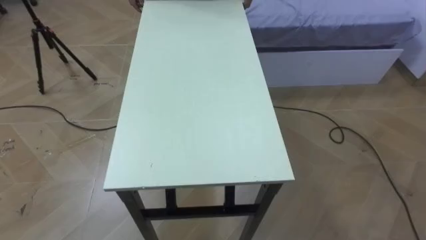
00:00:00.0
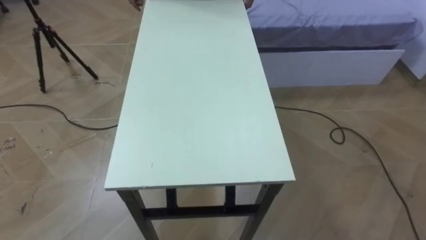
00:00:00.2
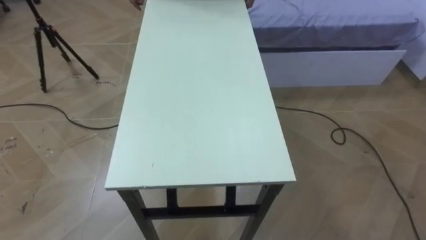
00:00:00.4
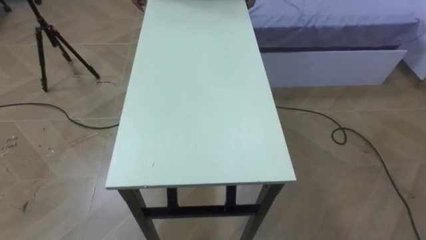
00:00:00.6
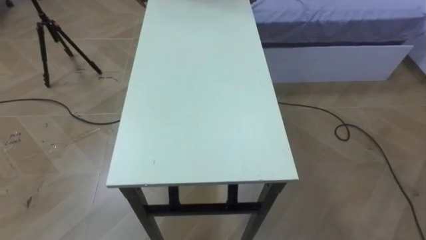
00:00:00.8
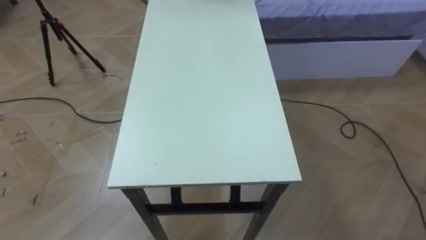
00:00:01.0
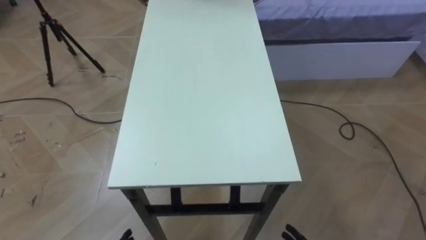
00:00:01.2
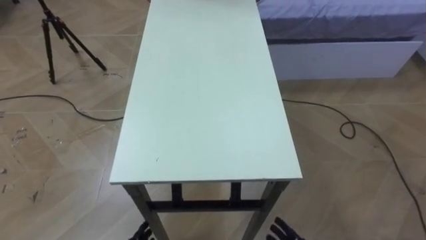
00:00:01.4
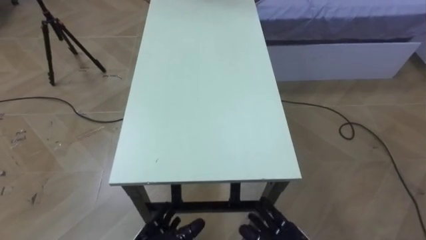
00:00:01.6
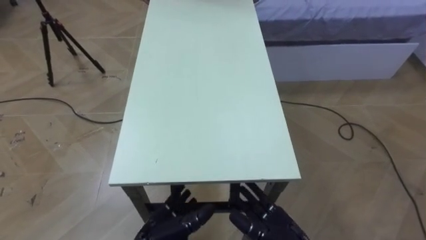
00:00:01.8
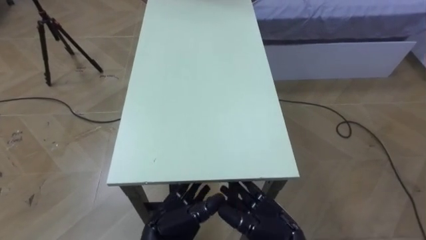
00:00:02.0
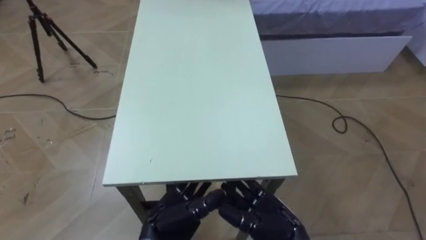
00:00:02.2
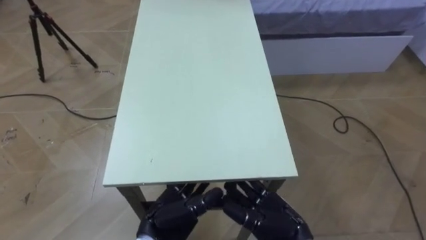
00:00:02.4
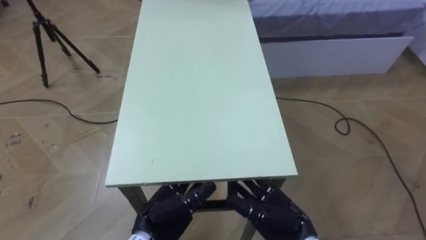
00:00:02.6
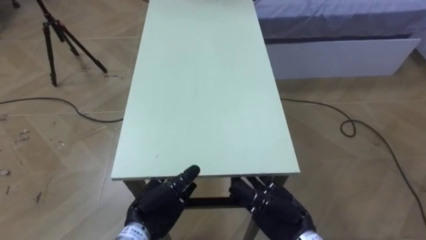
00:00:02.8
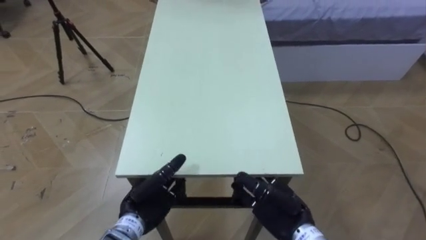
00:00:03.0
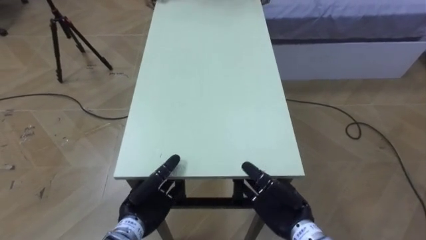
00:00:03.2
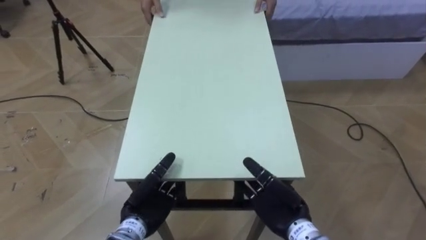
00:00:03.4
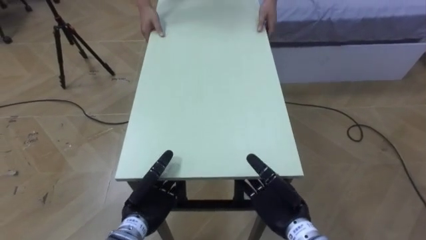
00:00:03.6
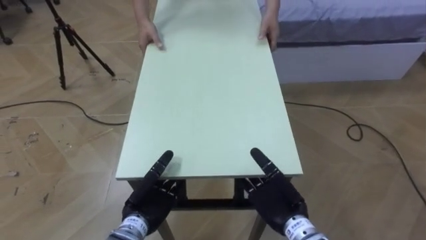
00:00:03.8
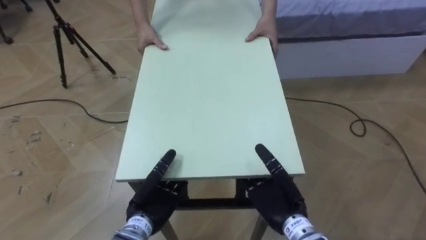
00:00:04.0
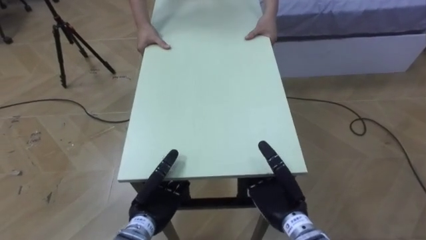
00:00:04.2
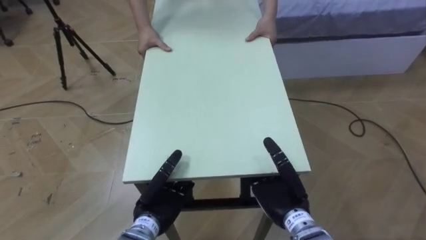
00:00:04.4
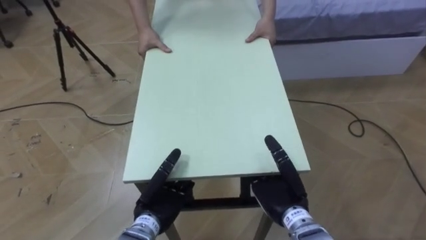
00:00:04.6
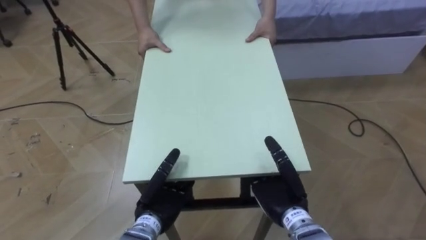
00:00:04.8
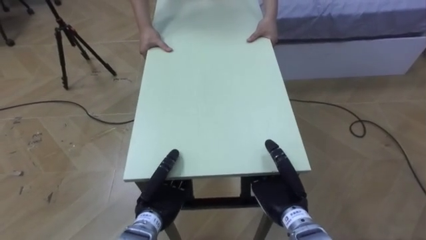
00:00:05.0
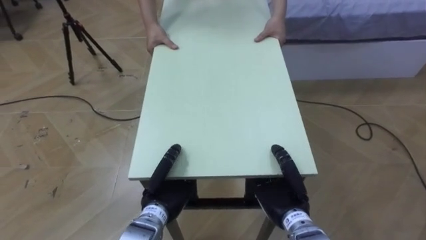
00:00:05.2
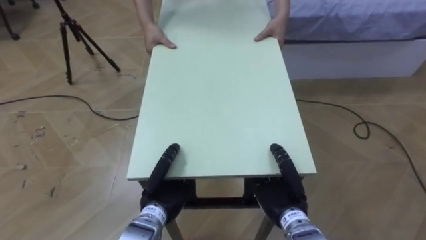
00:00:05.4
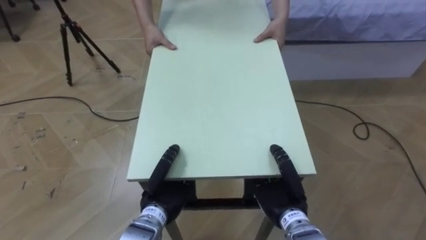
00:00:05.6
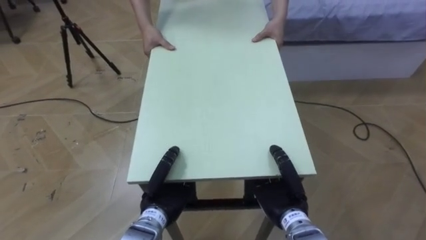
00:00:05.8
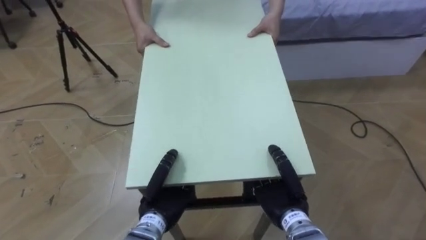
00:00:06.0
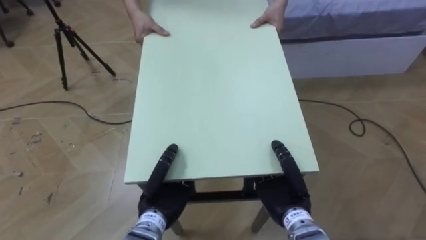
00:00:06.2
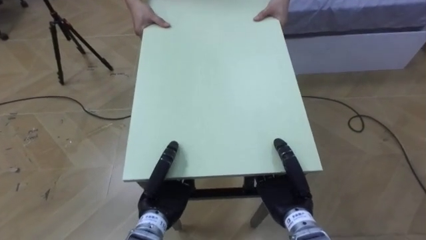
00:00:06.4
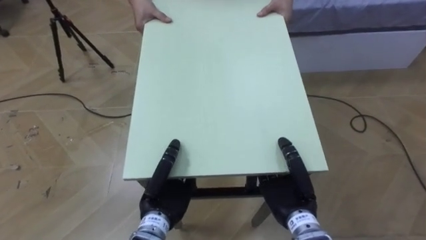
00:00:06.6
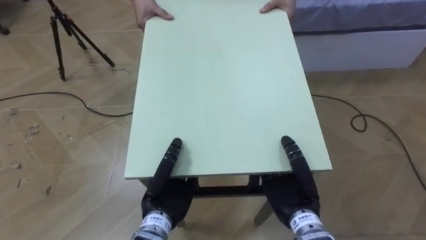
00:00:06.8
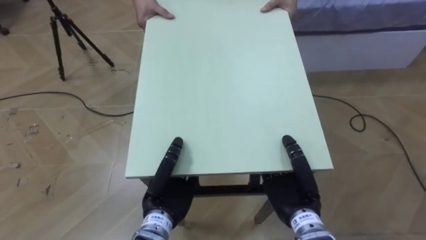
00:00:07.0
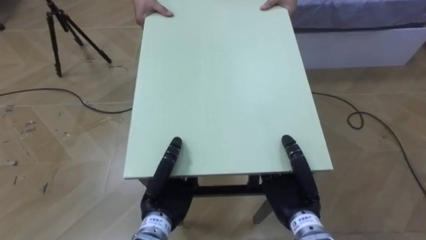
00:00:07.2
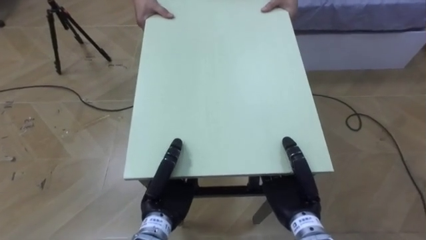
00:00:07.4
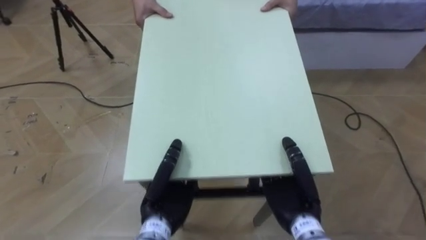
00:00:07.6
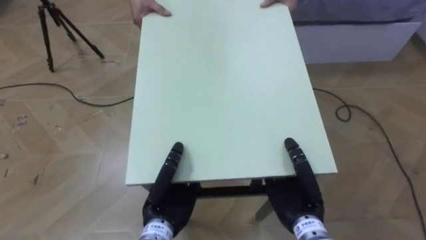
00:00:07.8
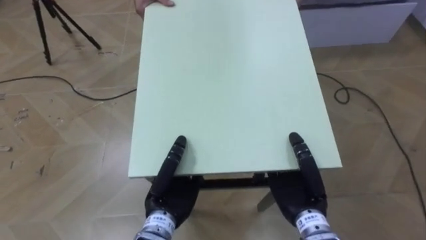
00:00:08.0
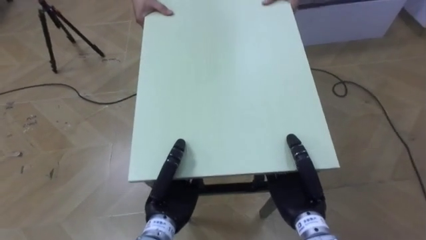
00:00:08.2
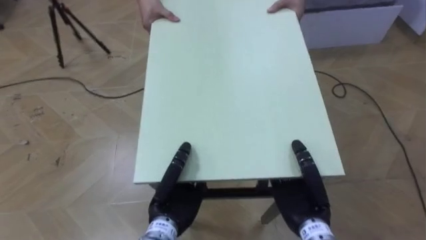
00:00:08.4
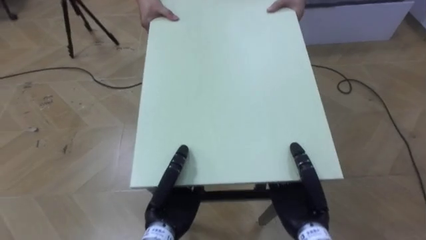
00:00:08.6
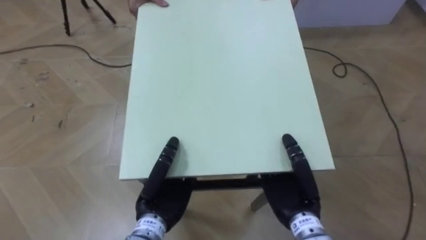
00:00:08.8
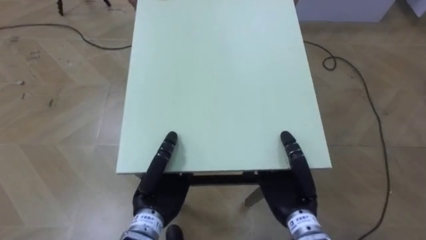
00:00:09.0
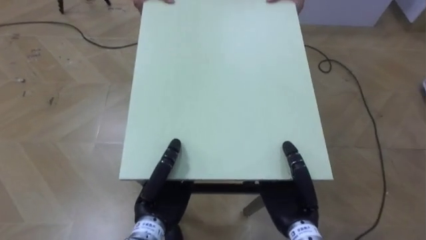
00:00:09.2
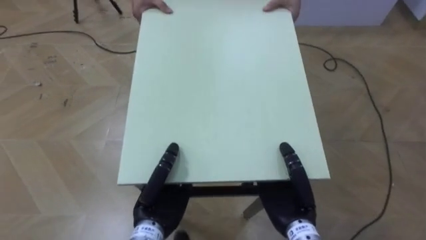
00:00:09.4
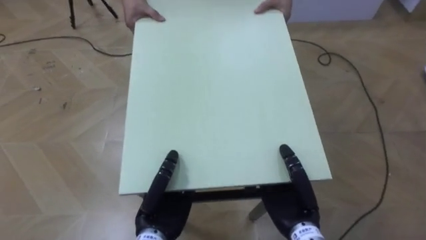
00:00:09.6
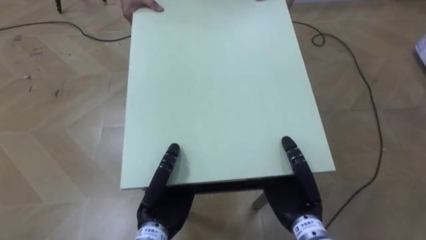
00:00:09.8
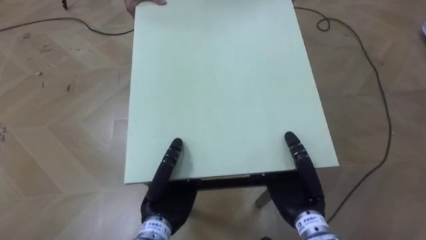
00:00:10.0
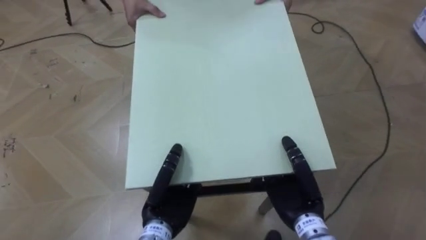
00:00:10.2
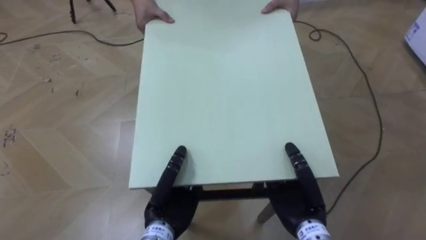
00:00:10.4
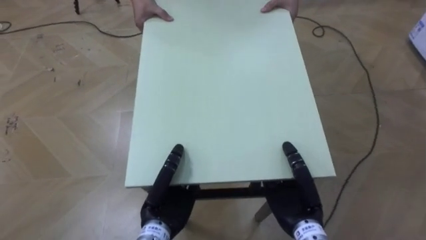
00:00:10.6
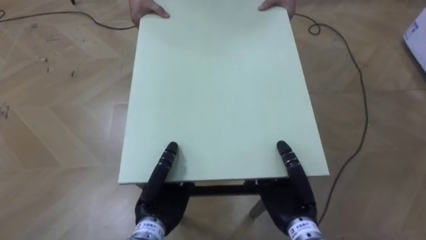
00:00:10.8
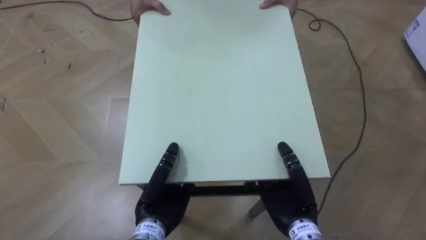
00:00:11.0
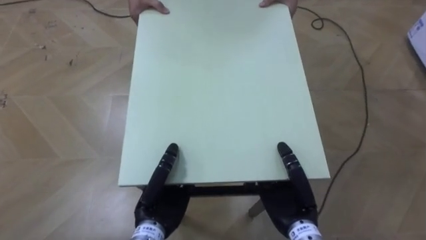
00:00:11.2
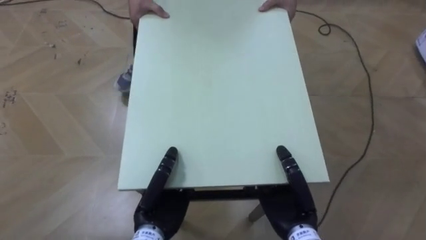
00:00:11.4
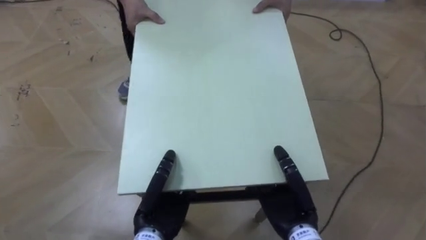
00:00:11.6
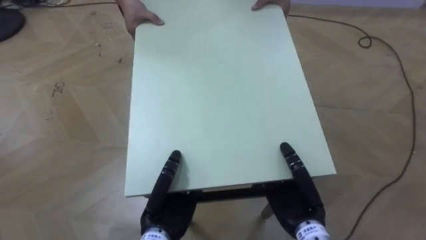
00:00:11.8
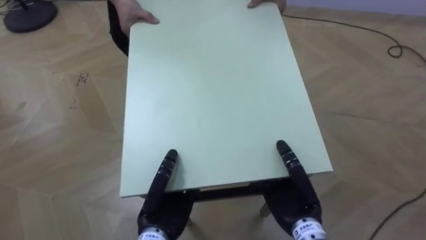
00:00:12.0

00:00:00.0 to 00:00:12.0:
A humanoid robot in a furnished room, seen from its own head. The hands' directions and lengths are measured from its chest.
Task of the whole recording: Move the table to the back left with someone.
00:00:04.4 to 00:00:06.0: The left hand closes; the right hand closes.

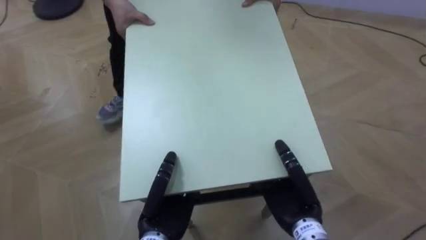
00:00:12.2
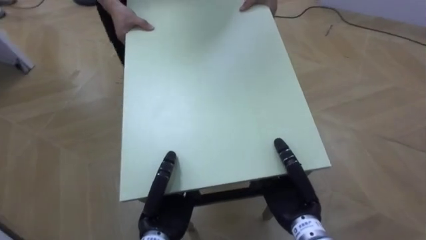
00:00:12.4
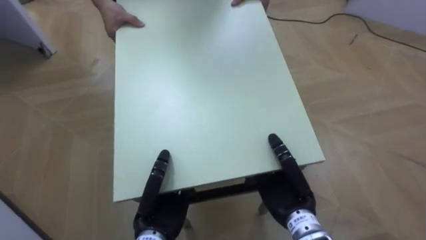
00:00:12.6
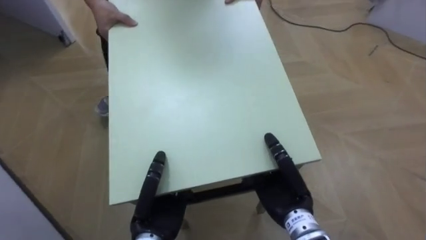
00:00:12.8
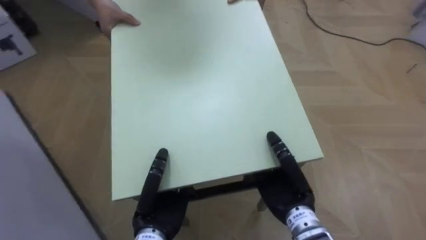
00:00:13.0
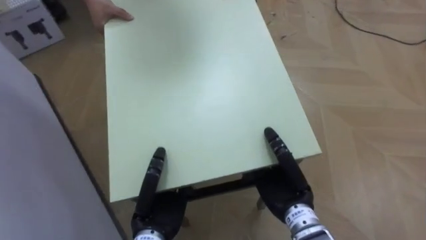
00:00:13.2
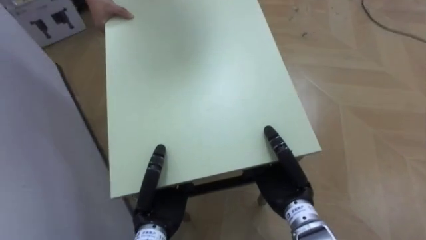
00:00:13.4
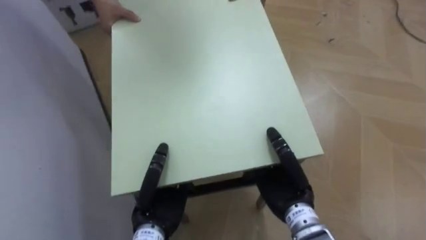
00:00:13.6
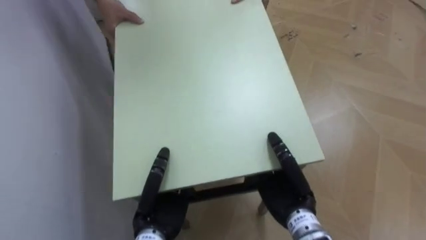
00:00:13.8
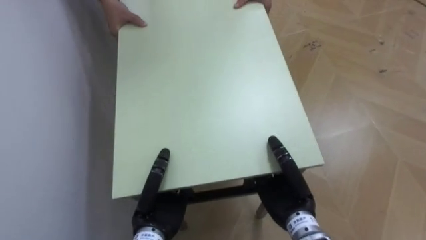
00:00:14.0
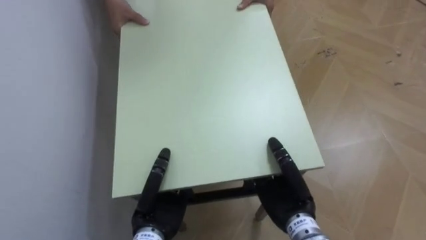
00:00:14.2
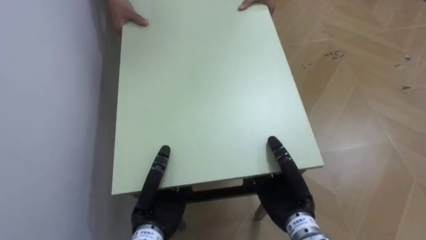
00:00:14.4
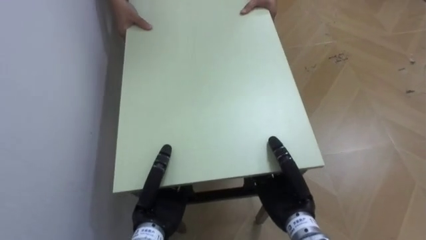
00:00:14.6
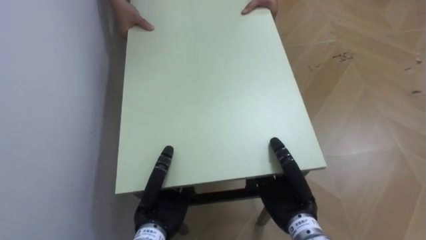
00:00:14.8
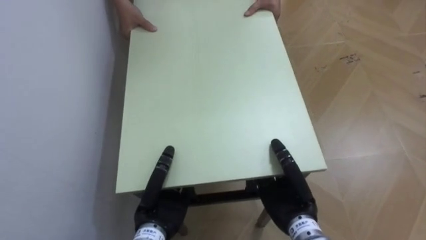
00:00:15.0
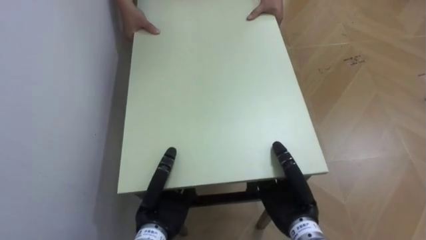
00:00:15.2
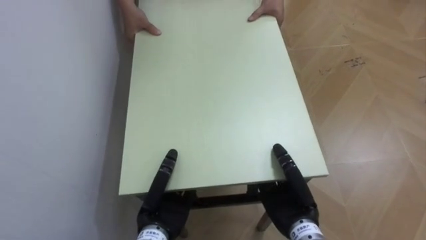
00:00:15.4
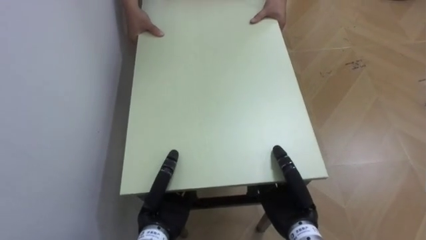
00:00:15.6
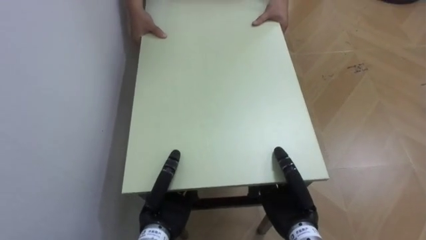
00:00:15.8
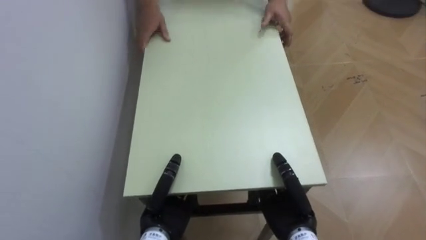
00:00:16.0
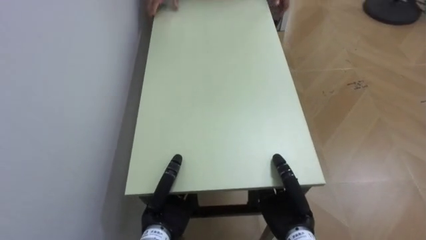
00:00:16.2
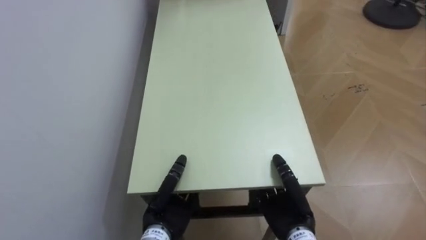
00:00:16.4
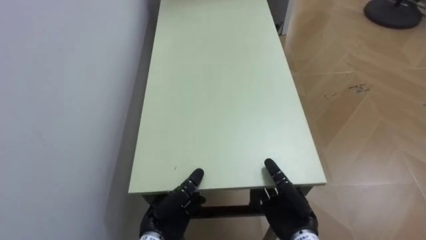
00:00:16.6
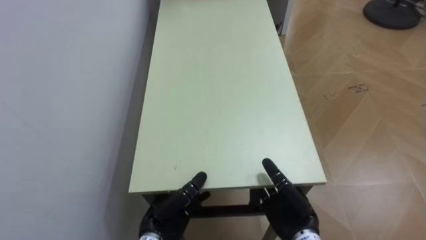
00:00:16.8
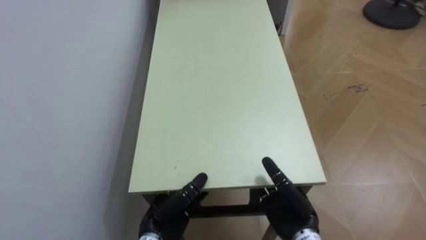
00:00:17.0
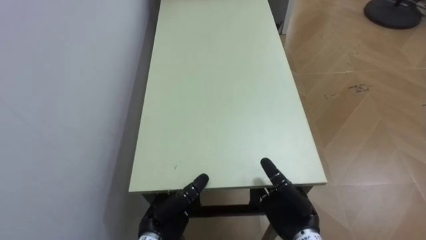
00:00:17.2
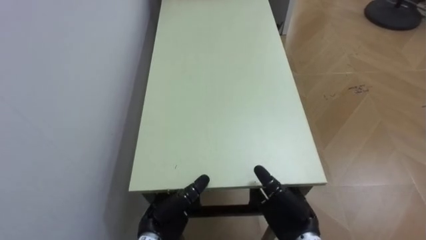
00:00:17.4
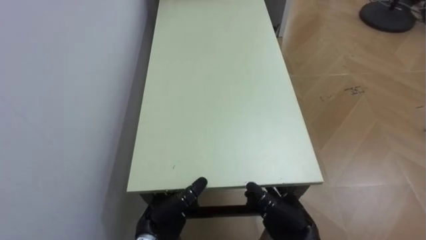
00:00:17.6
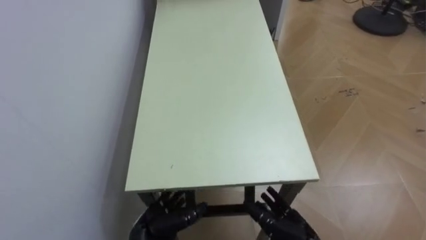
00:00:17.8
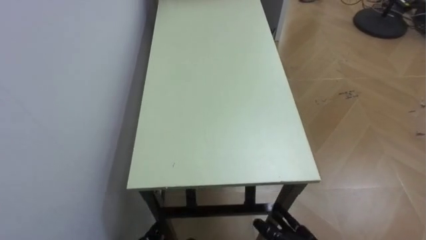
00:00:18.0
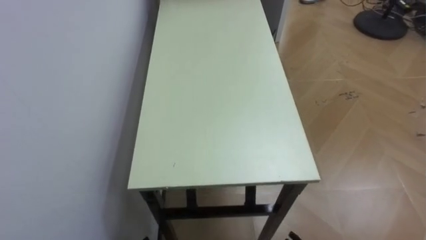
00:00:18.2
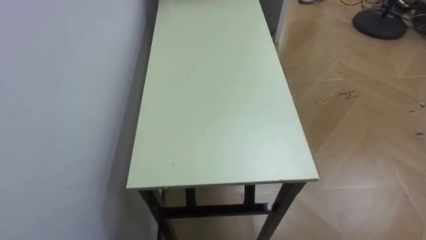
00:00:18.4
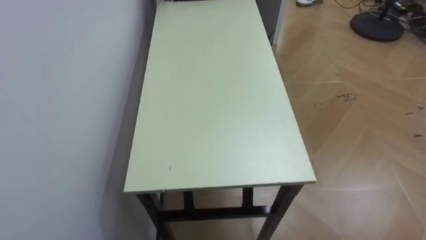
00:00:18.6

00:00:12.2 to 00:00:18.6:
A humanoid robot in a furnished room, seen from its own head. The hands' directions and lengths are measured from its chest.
Task of the whole recording: Move the table to the back left with someone.
00:00:12.2 to 00:00:13.8: The robot rotates some 55 degrees to its left.
00:00:13.8 to 00:00:15.4: The robot turns to its left by about 20 degrees.
00:00:15.4 to 00:00:17.0: The left hand goes approximately 5 cm downward, and opens, while the right hand opens up.
